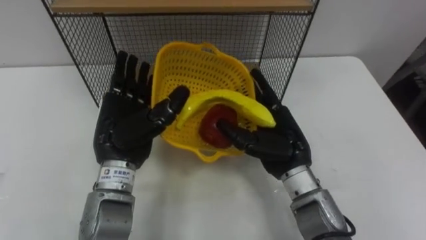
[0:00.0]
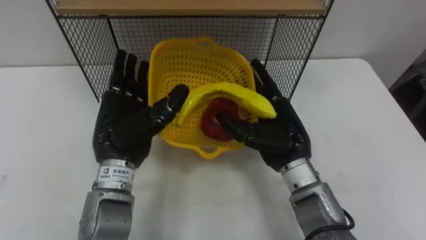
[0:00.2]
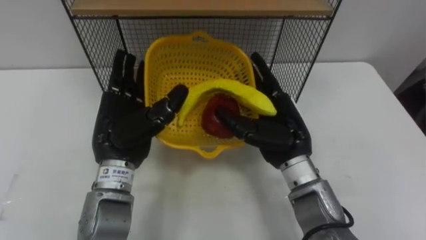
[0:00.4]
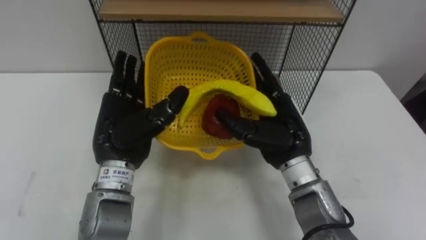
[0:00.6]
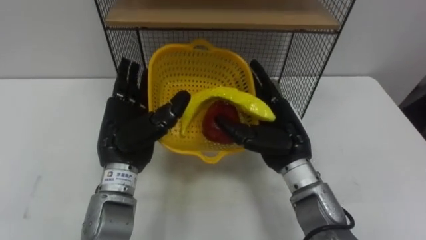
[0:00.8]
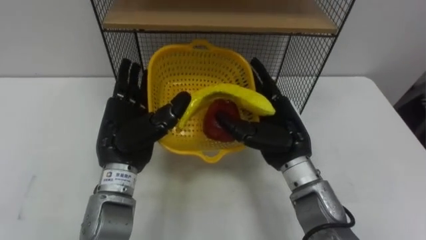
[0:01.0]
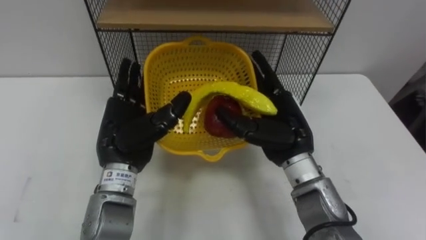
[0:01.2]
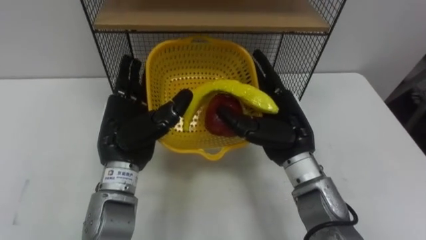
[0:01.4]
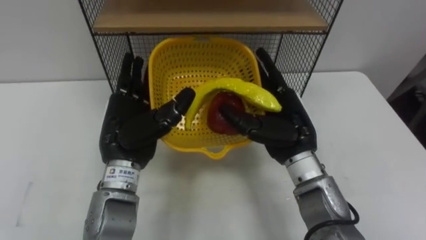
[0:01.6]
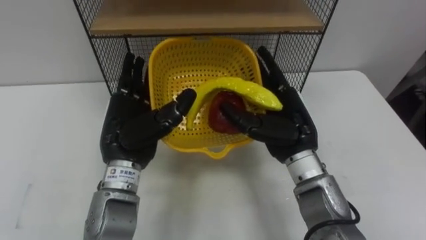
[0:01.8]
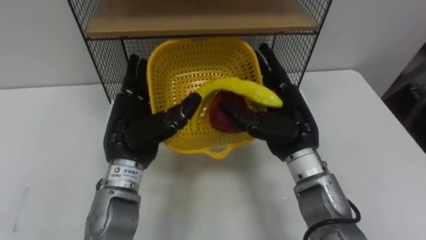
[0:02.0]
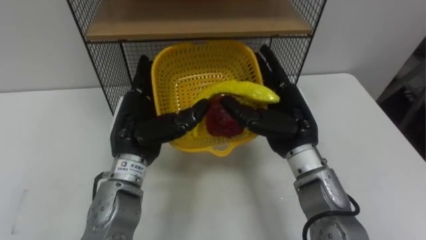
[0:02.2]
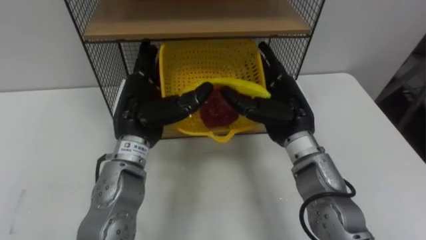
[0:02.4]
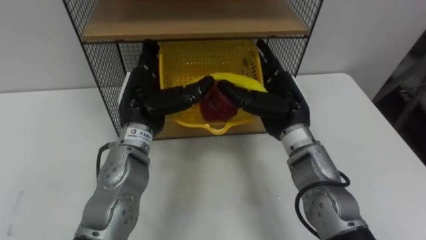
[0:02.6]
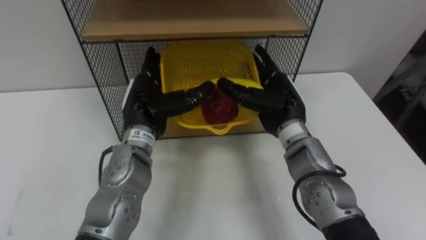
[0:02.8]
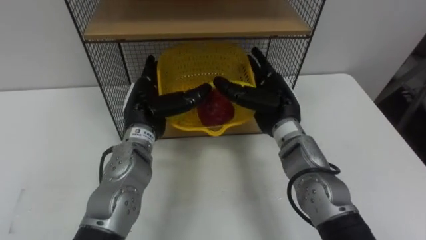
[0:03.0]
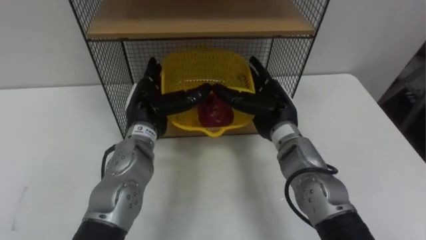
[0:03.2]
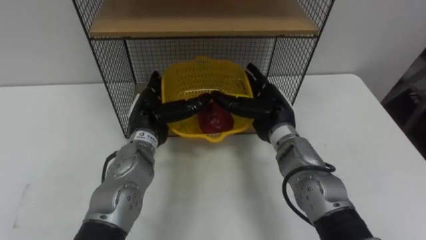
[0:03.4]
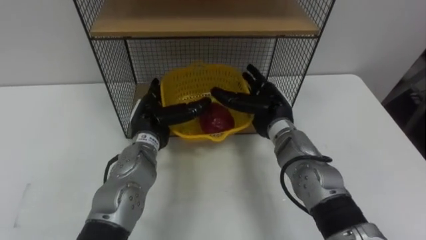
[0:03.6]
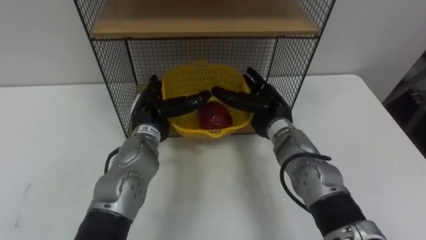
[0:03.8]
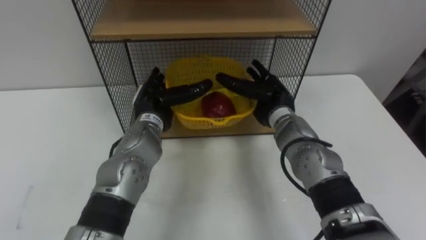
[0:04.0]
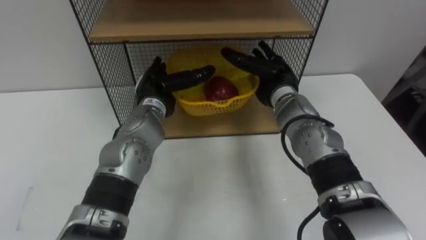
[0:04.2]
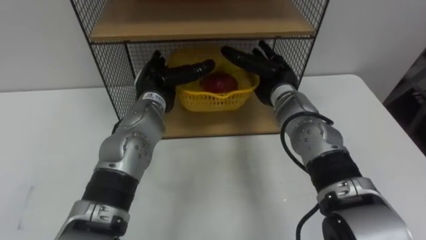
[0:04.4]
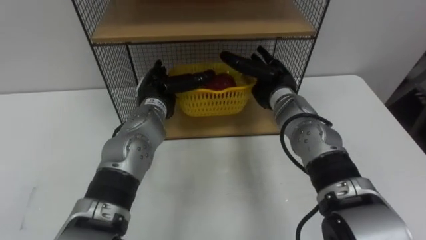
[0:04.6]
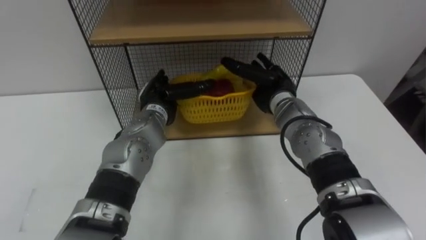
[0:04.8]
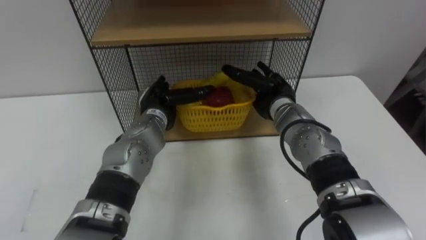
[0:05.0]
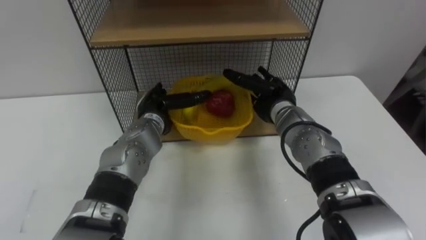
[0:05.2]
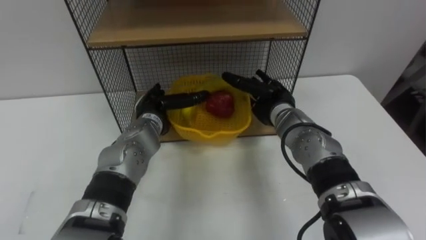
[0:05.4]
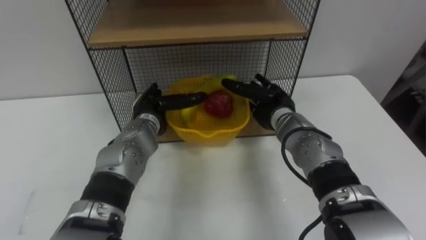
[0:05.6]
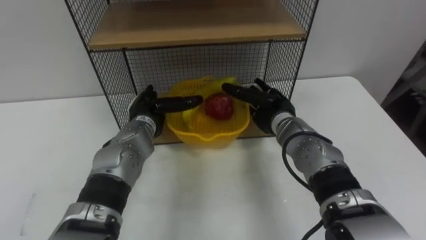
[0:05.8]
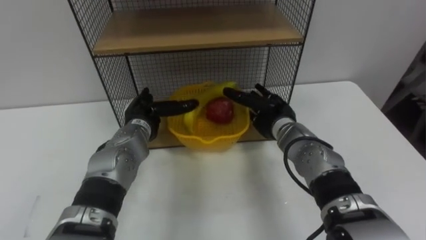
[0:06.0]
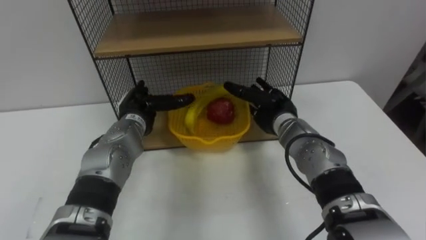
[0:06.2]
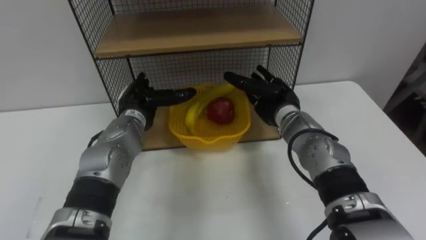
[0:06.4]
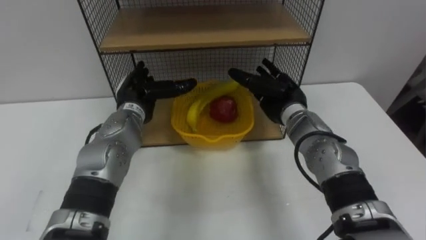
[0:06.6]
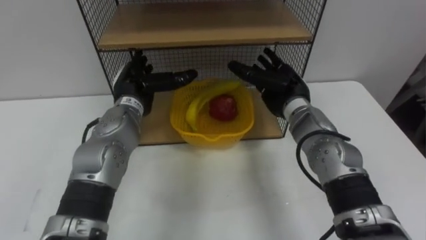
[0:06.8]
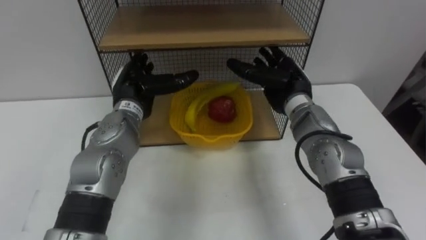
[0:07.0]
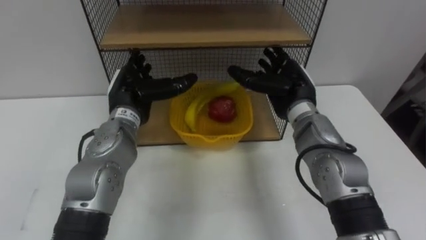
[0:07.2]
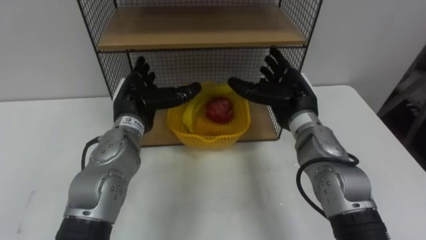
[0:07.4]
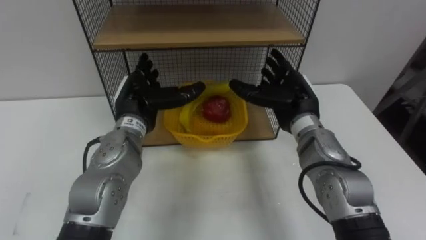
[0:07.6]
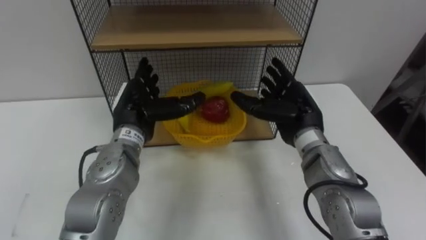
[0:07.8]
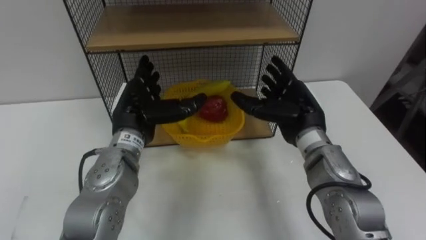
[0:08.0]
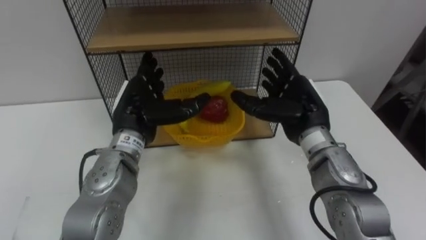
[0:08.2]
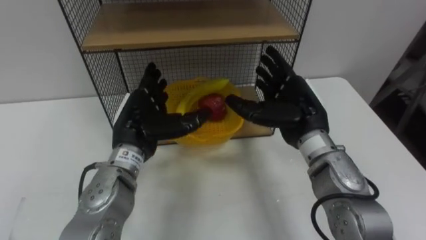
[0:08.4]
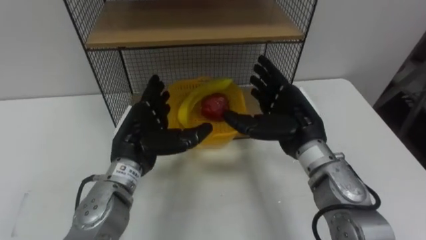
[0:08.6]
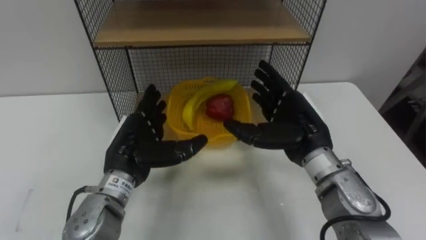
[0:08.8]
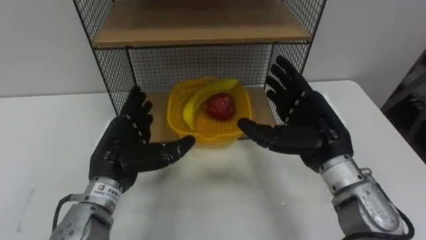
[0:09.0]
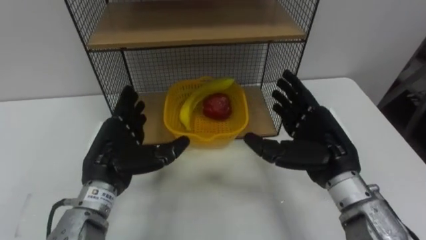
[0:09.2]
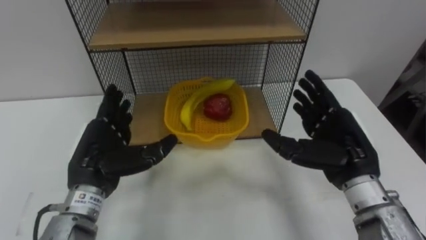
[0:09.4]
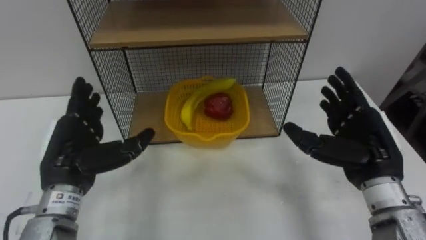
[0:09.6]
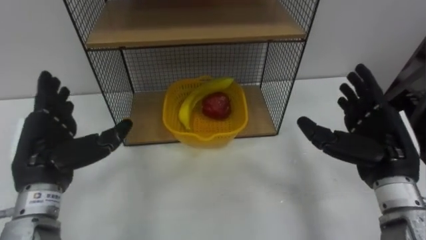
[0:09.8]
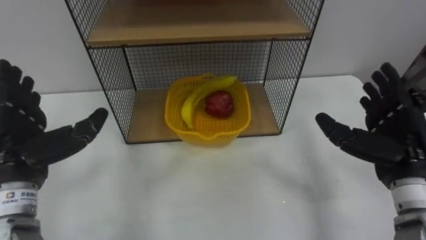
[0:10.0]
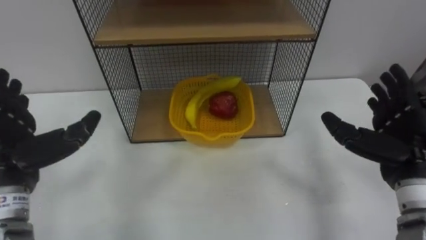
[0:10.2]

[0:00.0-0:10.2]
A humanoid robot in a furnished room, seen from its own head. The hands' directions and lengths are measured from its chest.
Task of the whole recording: Put the fruit on the table into the basket, then place the basket on the shelf.
0:01.4 to 0:03.0: The hands both shift forward by some 5 cm.
0:03.0 to 0:04.4: Both hands move forward, some 5 cm.
0:04.4 to 0:05.8: Both hands travel together downward, approximately 5 cm.
0:05.8 to 0:07.2: The two hands go about 10 cm upward.
0:07.2 to 0:08.8: The hands both shift backward by some 10 cm.
0:08.8 to 0:10.2: The left hand shifts roughly 15 cm to the left and upward, while the right hand heads to the right, covering about 15 cm.

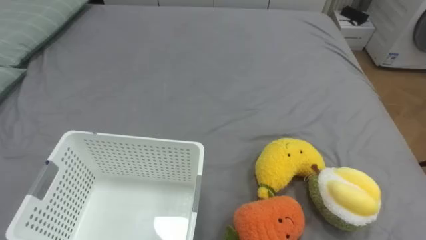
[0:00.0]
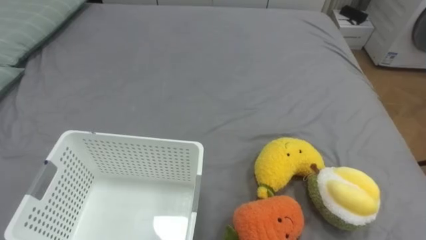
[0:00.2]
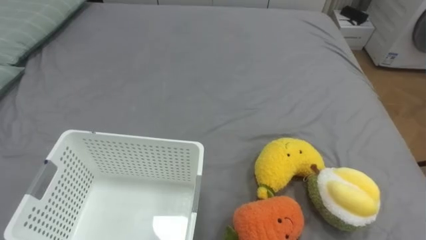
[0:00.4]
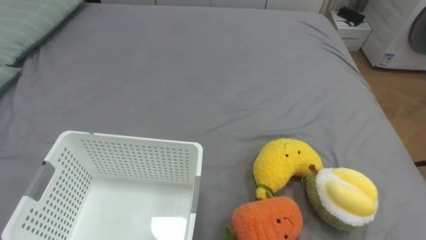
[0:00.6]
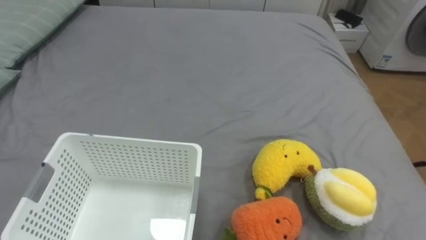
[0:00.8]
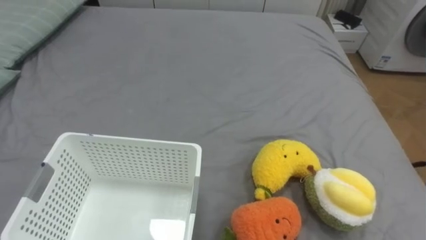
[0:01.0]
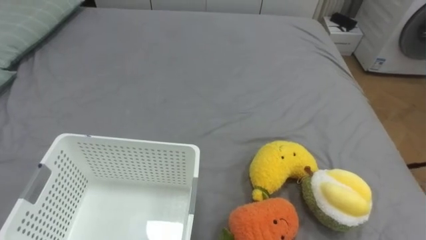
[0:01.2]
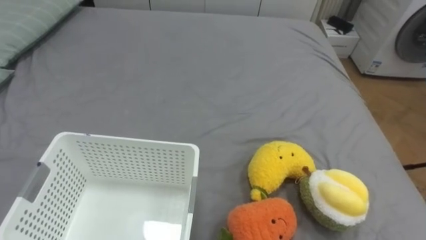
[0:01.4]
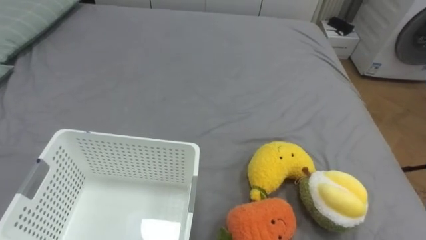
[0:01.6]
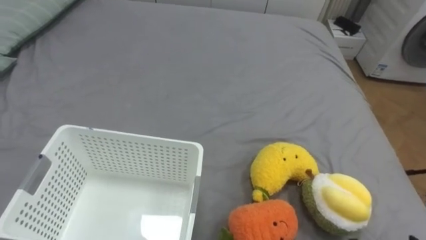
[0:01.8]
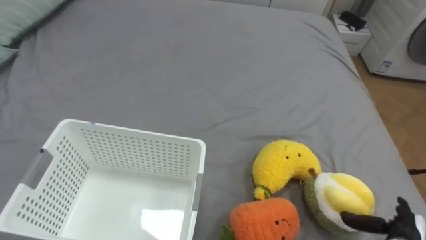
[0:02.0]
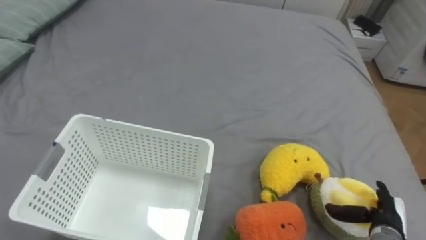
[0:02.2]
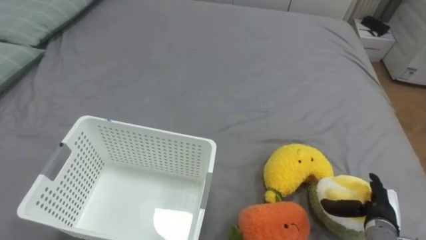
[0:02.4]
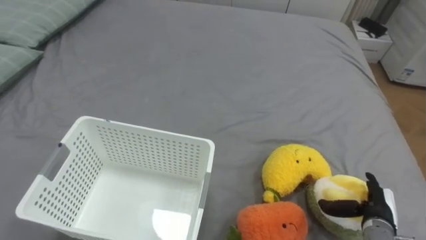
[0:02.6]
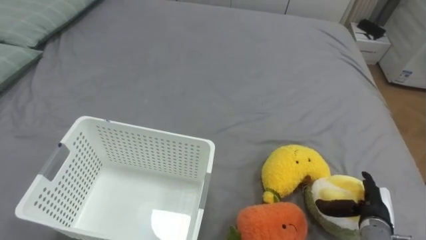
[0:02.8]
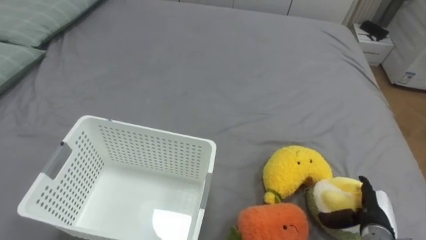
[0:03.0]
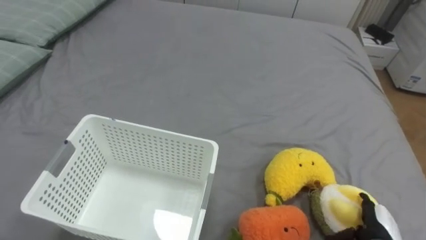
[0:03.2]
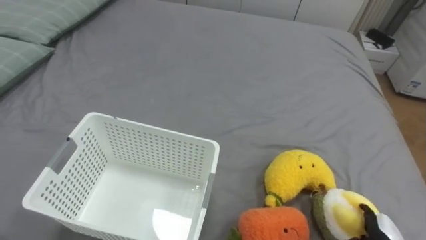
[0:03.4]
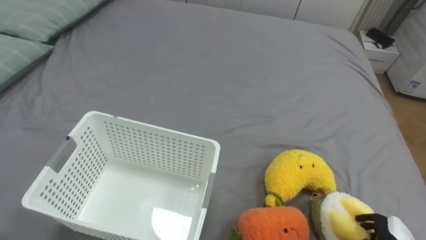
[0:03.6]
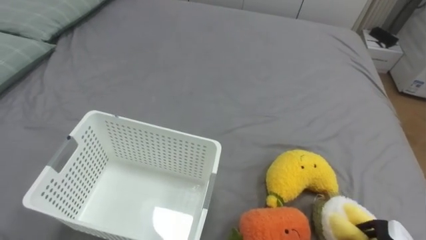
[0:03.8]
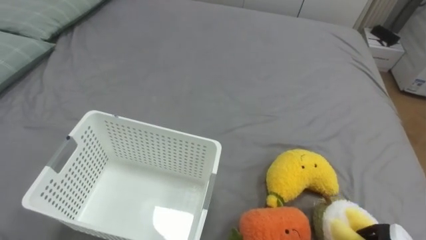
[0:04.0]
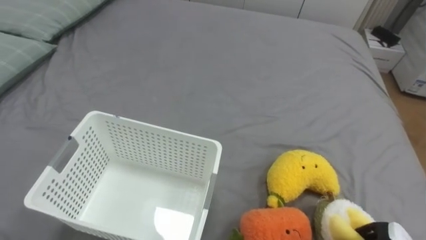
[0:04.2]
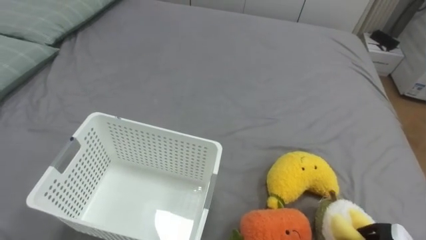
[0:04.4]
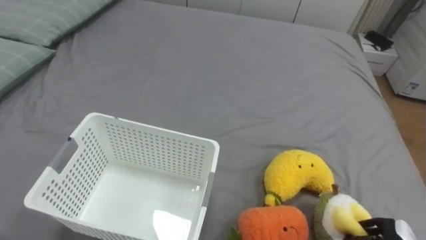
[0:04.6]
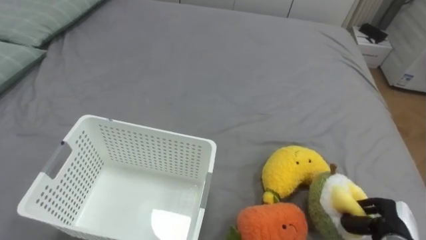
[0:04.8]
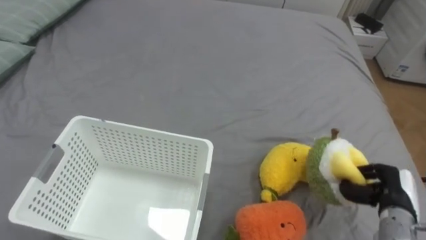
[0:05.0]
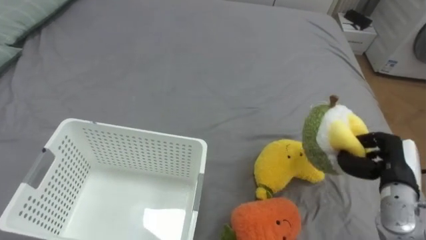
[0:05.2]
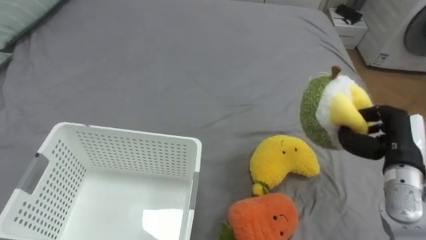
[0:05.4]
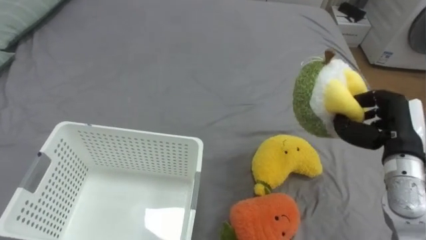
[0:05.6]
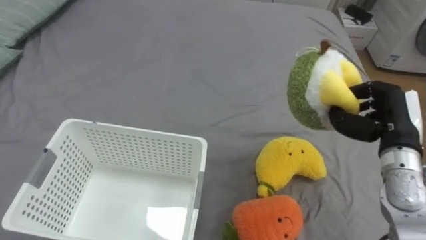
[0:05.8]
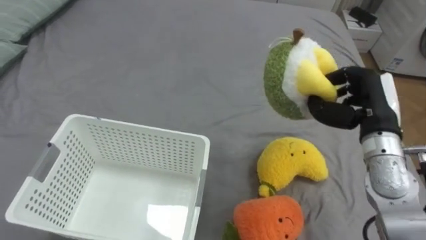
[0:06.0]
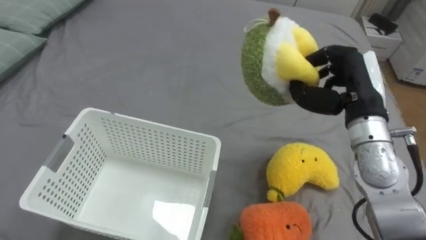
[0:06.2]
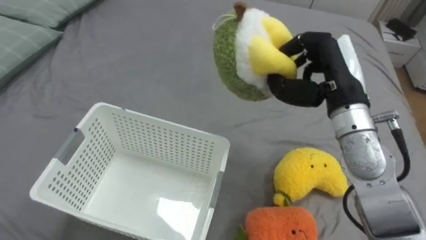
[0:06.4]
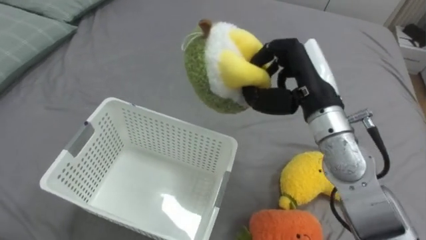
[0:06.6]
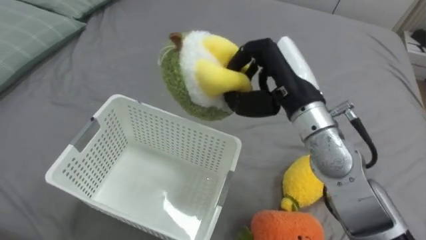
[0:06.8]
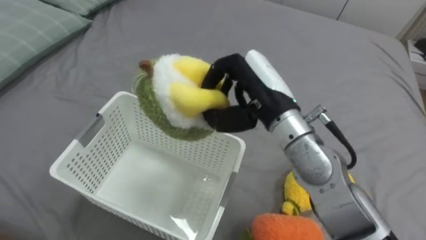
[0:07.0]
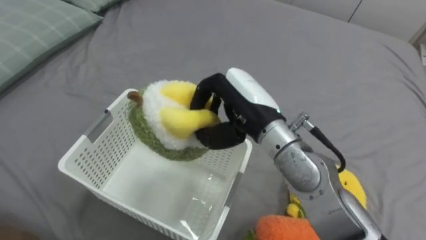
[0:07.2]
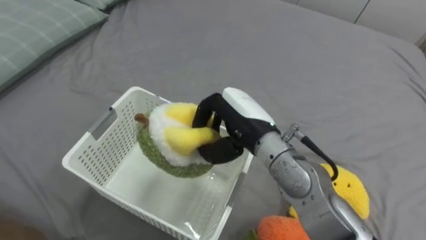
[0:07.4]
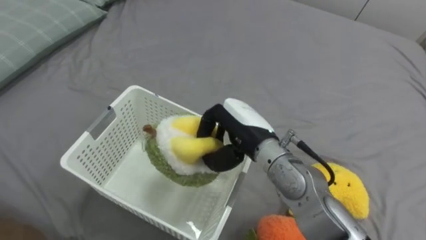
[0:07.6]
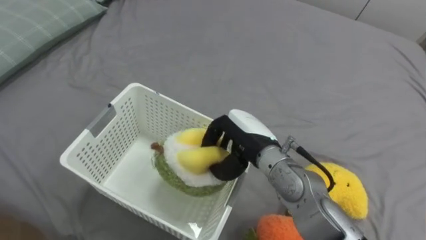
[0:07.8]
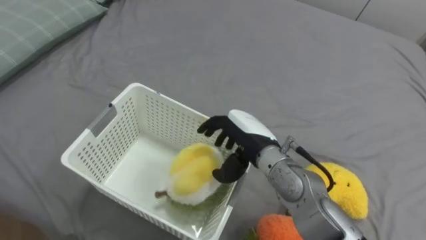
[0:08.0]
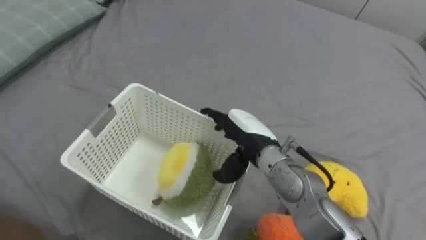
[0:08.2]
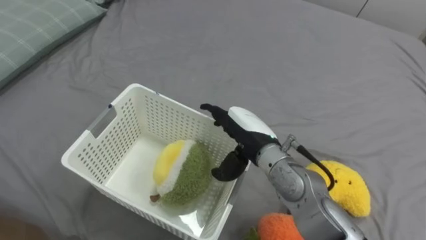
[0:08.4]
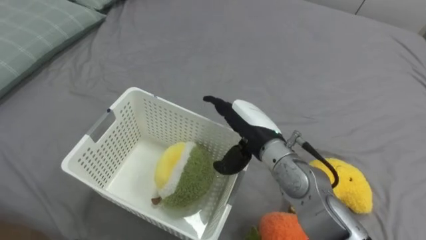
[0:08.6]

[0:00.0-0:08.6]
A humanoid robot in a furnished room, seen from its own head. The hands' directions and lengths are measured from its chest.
Task of the whole recording: Put the toys on the bed into the basket on the left.
0:05.8 to 0:07.2: The right hand heads to the left, covering approximately 25 cm.
0:07.2 to 0:08.6: The right hand travels downward by some 5 cm, and opens its fingers.
